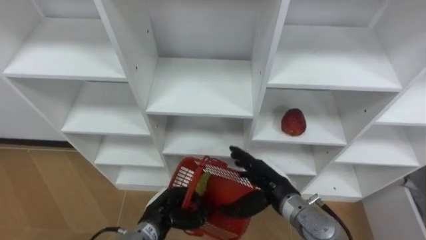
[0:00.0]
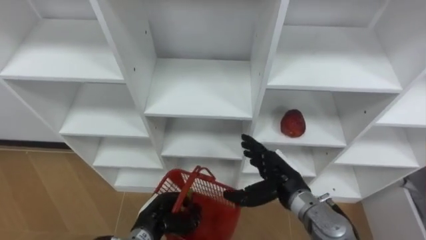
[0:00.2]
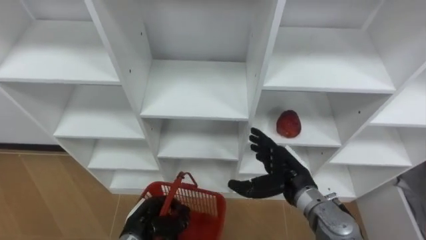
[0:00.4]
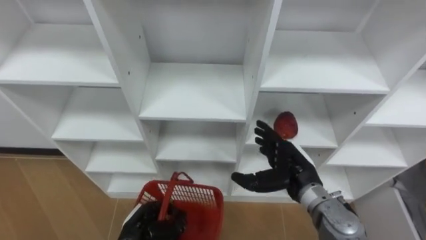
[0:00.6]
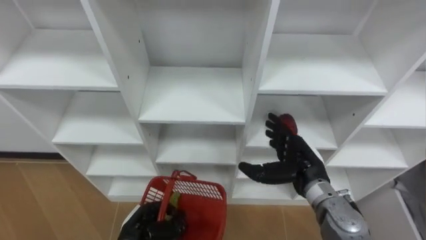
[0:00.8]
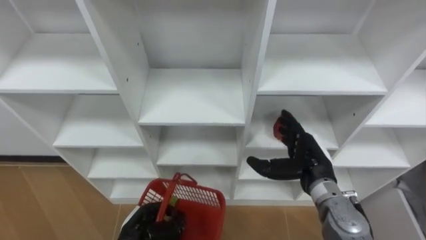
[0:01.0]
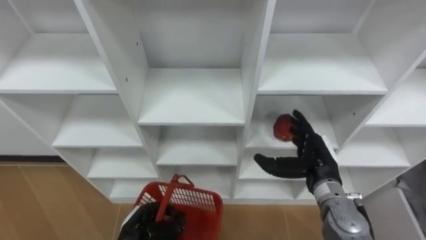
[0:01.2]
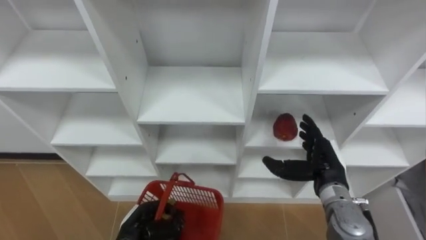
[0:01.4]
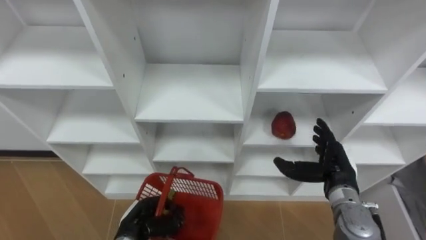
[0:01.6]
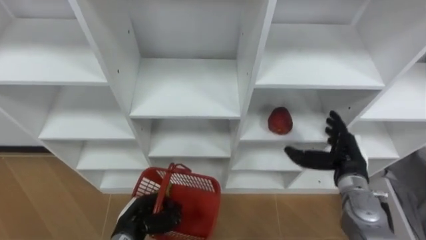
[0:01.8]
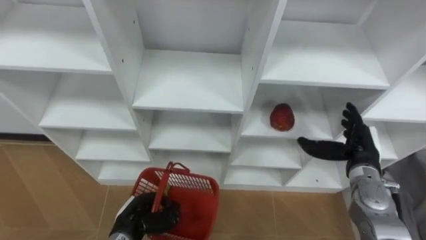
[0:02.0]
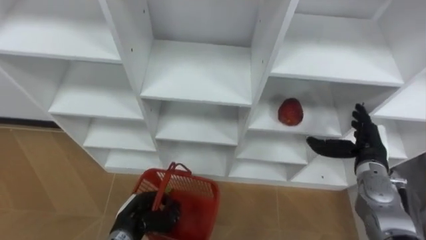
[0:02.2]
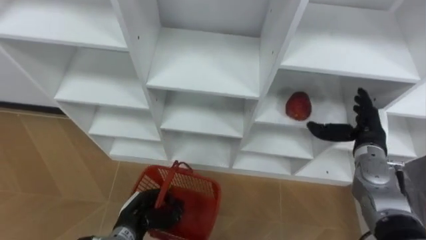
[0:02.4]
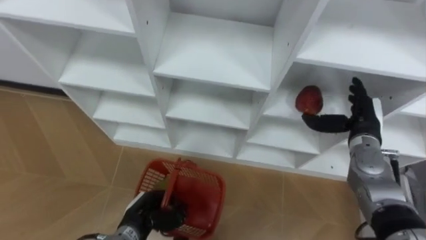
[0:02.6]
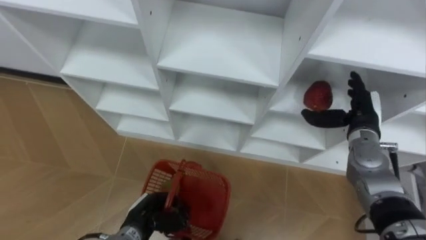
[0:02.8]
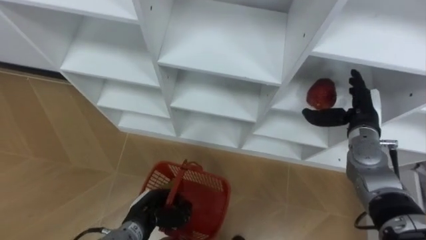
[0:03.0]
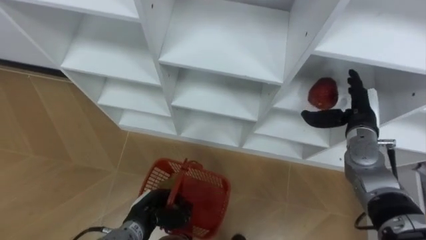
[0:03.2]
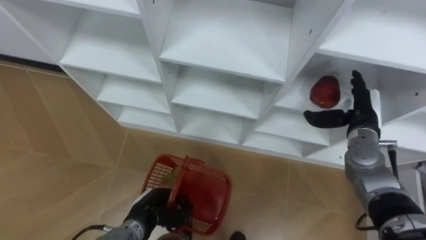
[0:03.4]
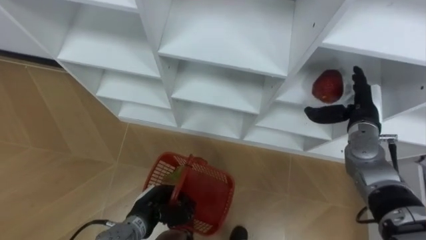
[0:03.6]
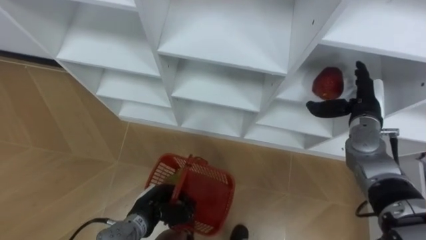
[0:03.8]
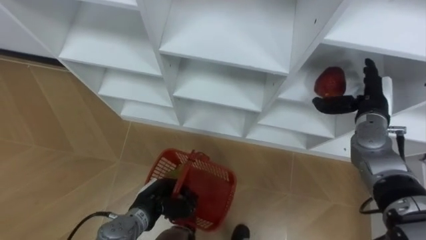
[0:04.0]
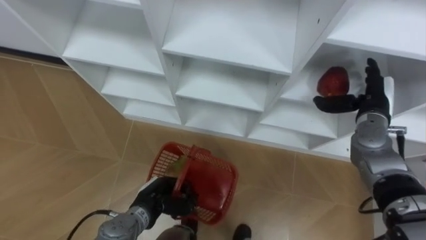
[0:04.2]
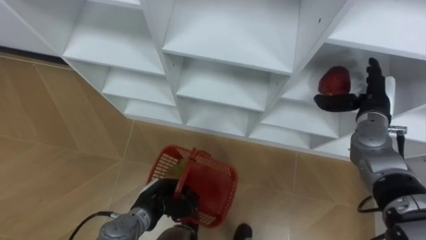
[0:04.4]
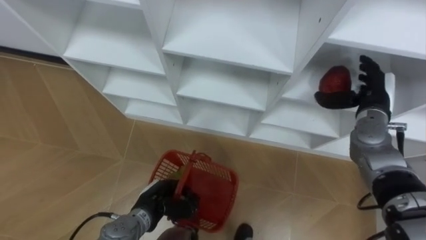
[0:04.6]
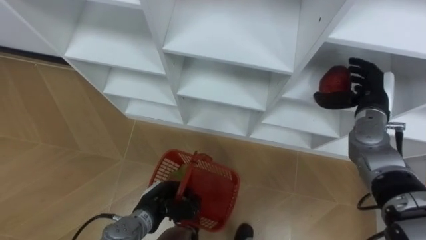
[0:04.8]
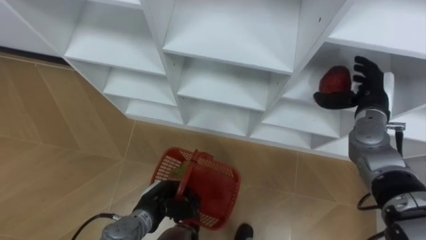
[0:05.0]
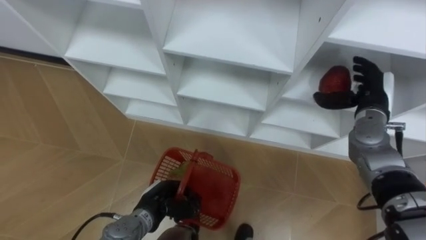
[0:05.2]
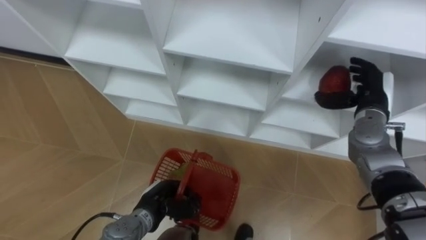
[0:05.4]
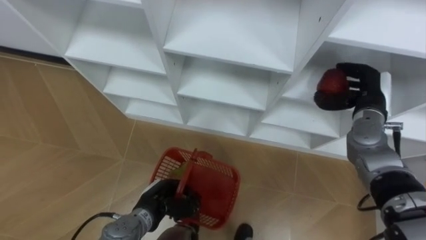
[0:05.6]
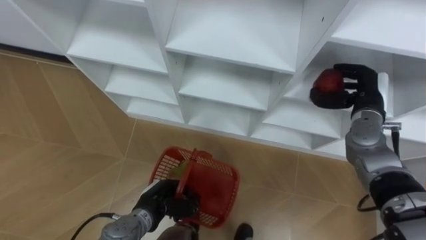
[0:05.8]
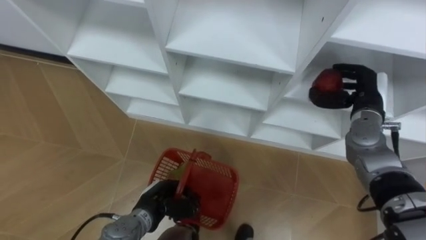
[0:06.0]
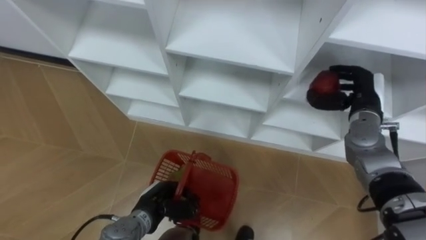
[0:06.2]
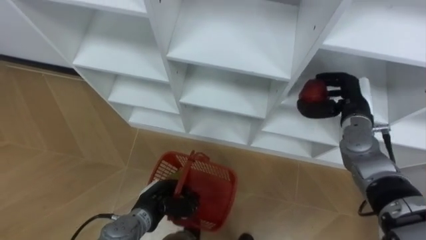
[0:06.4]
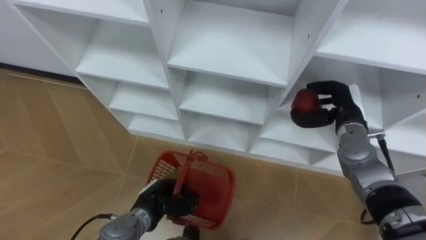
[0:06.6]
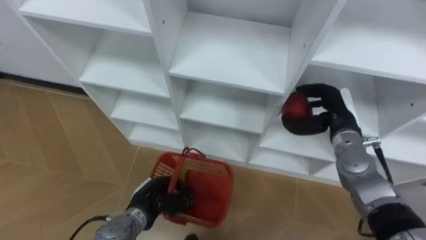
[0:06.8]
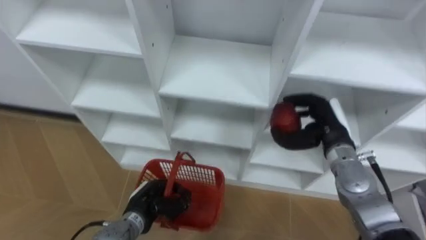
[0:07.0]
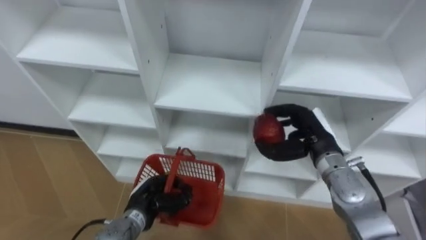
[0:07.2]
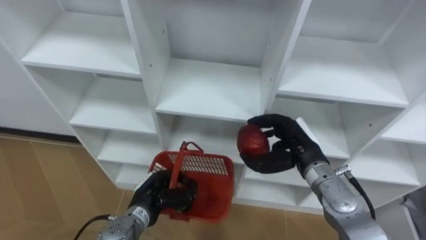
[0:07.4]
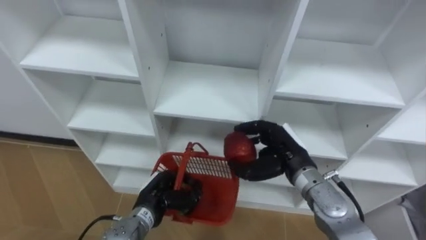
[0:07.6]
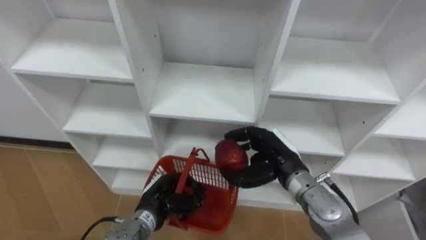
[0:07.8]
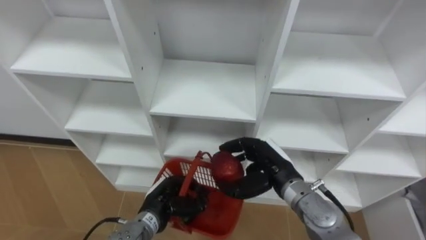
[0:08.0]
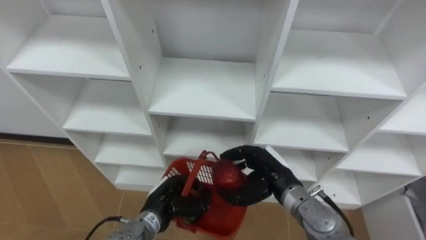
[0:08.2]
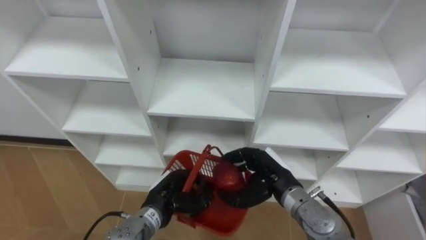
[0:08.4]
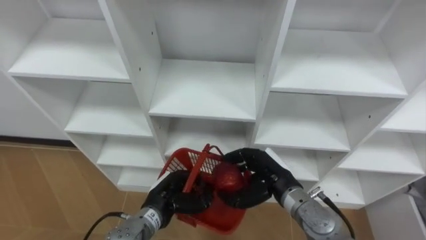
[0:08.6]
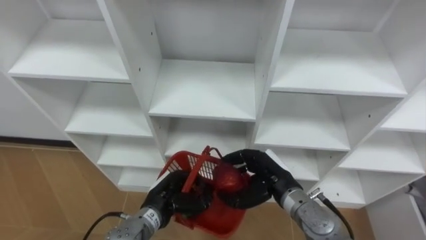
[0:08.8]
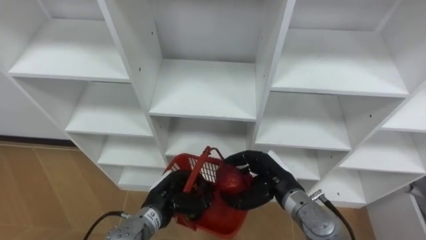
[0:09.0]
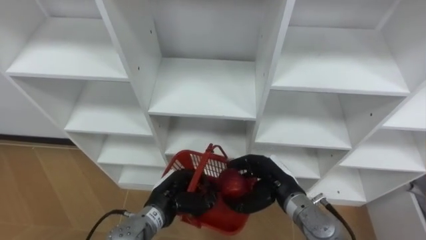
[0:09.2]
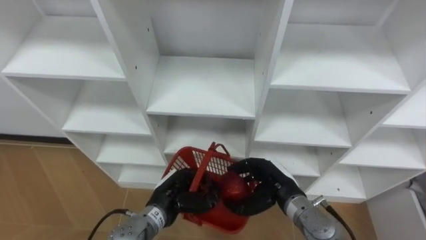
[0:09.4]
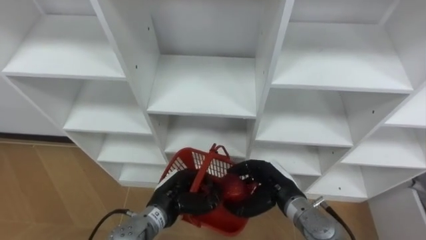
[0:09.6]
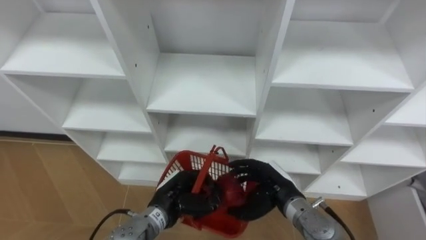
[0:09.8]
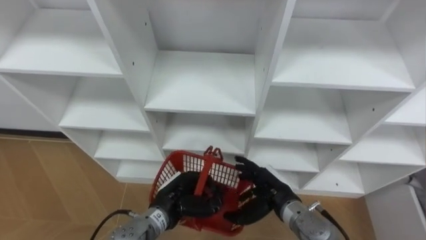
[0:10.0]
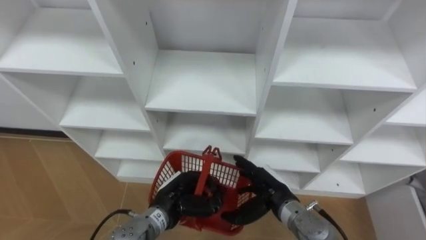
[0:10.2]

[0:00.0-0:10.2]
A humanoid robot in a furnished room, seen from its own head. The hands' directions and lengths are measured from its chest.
Task of the whole recording: Hold the basket and collect the fruits from 3 different cells of the closet into it.
0:00.0 to 0:01.4: The left hand is displaced to the left by about 5 cm, while the right hand moves to the right, approximately 10 cm.
0:01.4 to 0:03.0: The right hand moves forward and to the right, approximately 10 cm.
0:04.4 to 0:05.8: The right hand closes its fingers.
0:05.8 to 0:07.2: The right hand travels to the left and backward by some 10 cm.
0:07.2 to 0:08.8: The left hand shifts by approximately 5 cm. The right hand shifts some 10 cm to the left, downward and backward.
0:08.8 to 0:10.2: The right hand opens up.

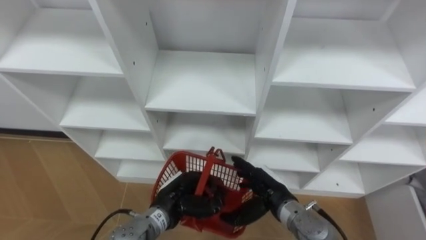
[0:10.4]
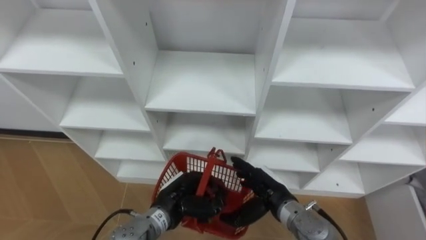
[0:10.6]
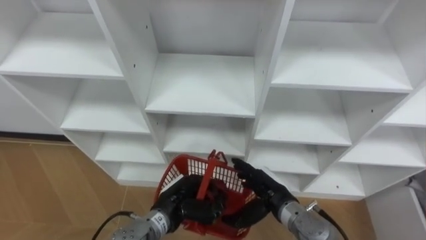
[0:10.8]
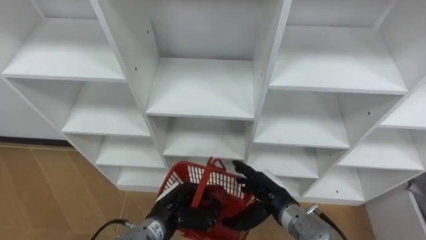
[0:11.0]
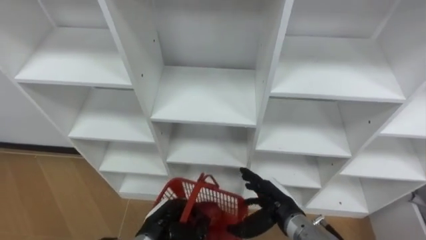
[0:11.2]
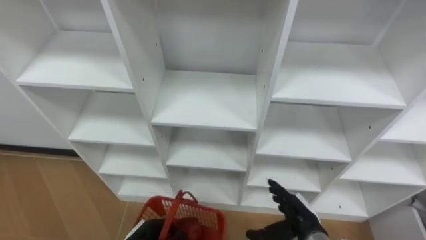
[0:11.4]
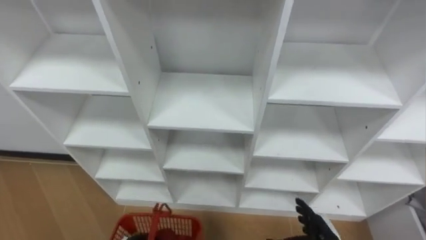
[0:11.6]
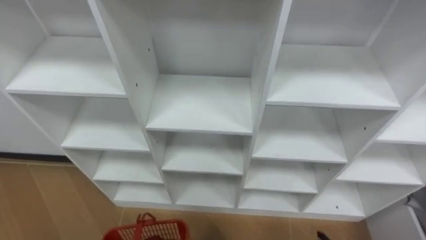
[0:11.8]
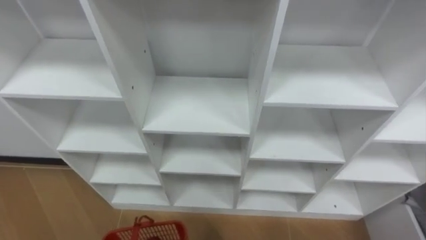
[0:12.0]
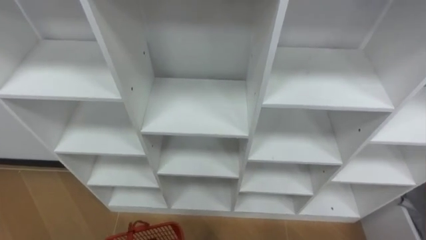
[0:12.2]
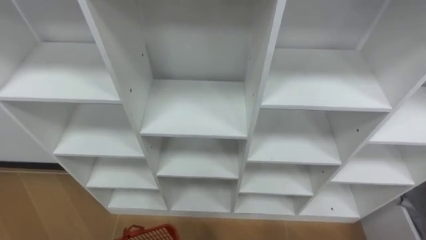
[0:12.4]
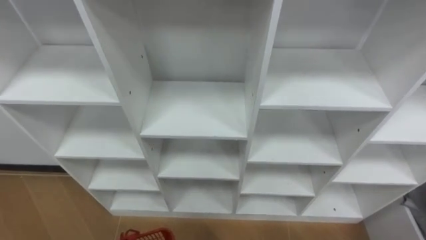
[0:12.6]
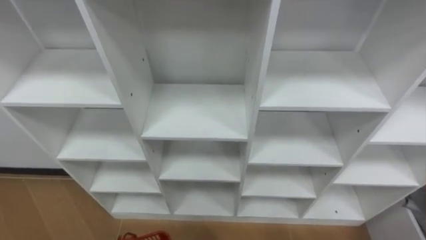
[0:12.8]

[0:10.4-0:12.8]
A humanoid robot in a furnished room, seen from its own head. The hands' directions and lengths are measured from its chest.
Task of the whole recording: Hold the basket and collect the fruits from 3 different cells of the closet into it.
0:10.4 to 0:11.6: The right hand goes about 15 cm to the right, backward and downward.

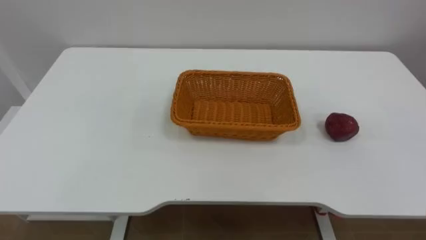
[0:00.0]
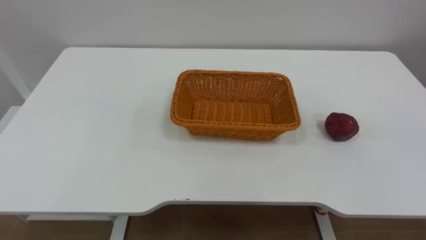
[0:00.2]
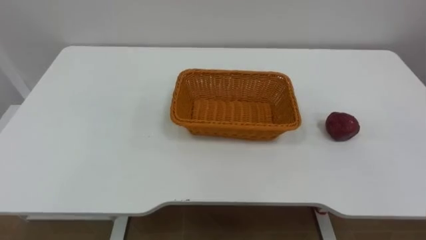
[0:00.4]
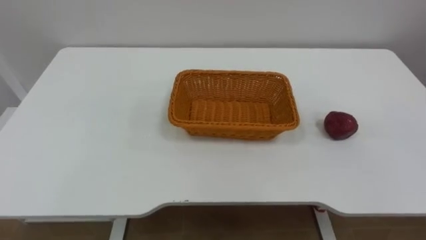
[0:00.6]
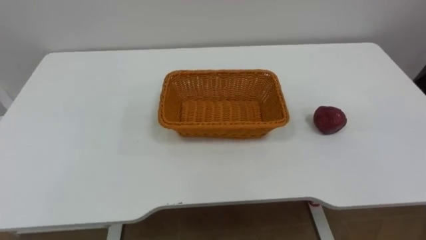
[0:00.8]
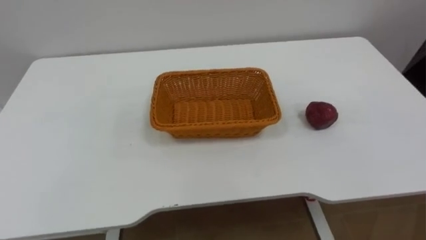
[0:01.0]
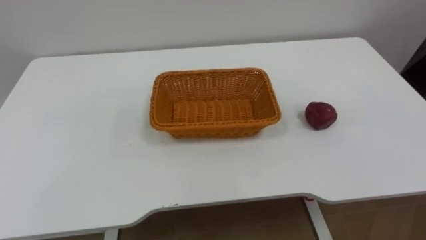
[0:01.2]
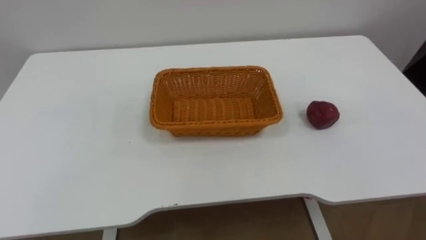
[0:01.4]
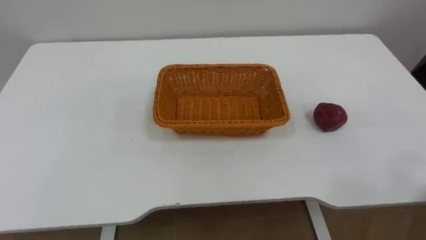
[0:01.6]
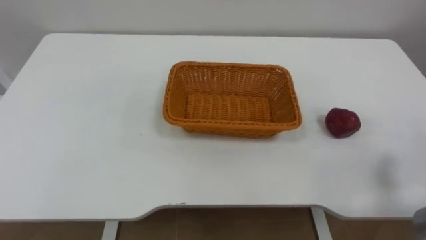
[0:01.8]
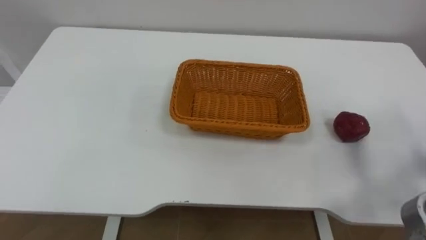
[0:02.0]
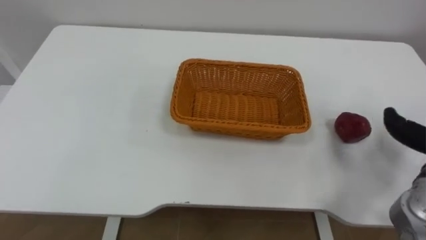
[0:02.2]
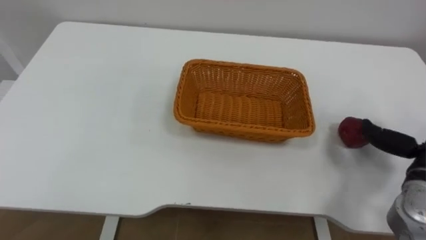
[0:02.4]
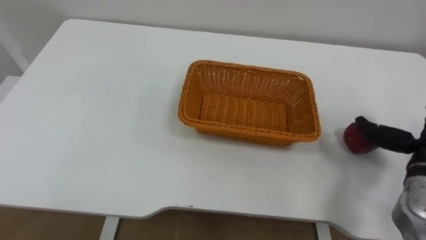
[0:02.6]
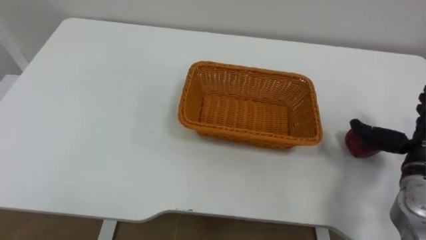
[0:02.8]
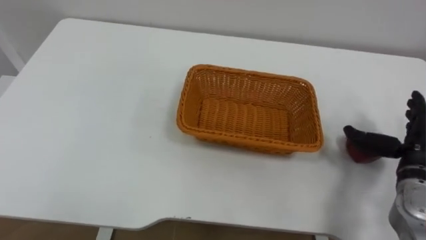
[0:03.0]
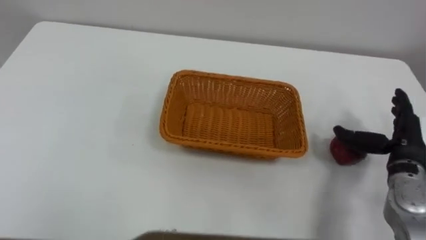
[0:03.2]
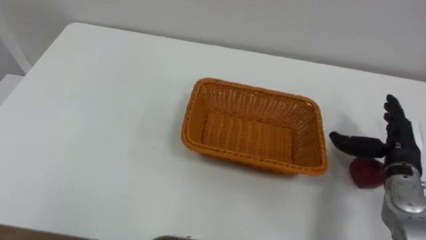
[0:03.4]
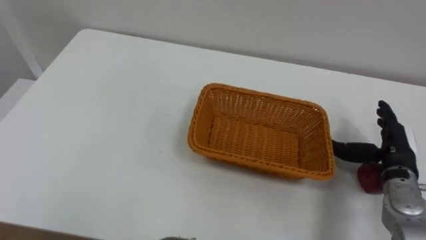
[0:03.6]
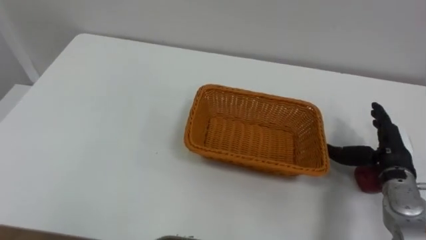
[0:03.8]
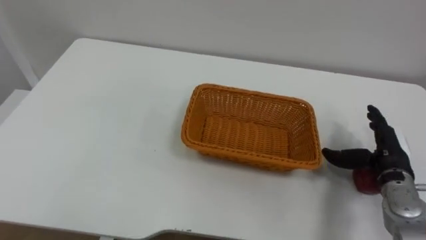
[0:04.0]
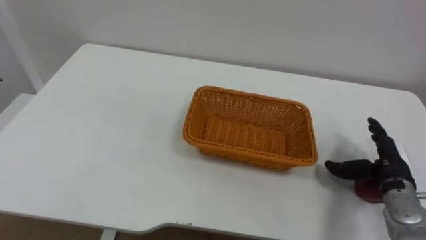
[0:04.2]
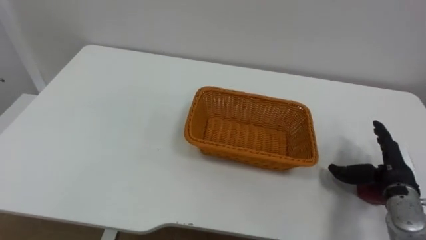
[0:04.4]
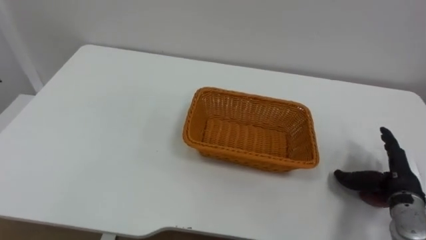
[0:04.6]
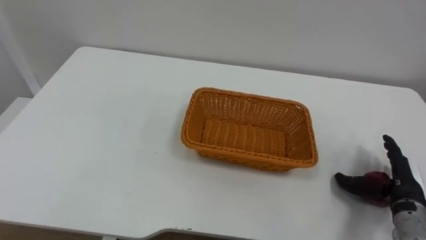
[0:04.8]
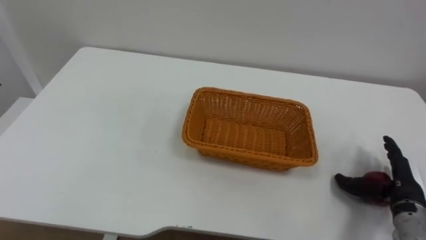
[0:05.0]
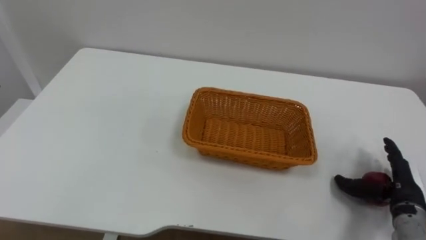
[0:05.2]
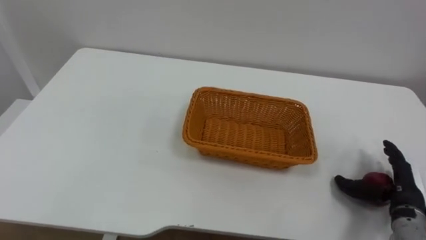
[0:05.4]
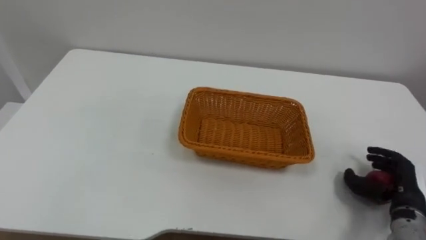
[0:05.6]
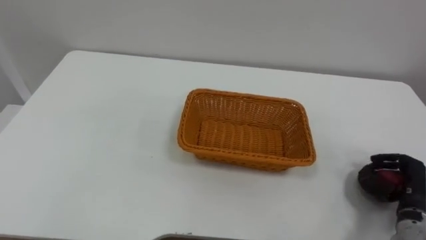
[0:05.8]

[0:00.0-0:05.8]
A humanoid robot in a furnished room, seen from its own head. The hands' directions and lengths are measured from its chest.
Task of the whole recording: Pick the apple and place it in the box.
0:02.8 to 0:04.4: The right hand shifts about 10 cm downward.
0:04.4 to 0:05.8: The right hand shifts approximately 5 cm backward, and closes its fingers.
